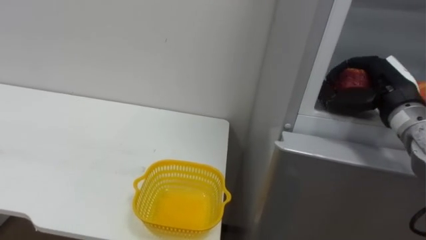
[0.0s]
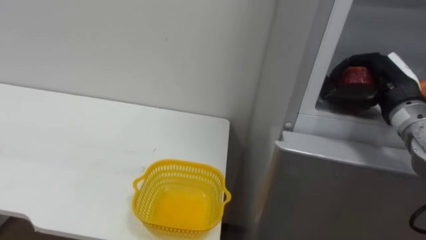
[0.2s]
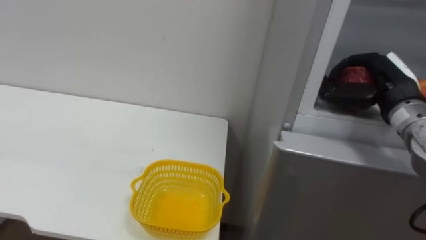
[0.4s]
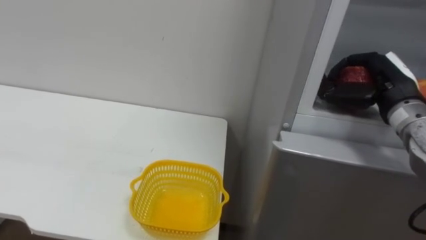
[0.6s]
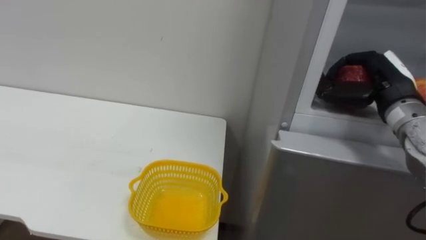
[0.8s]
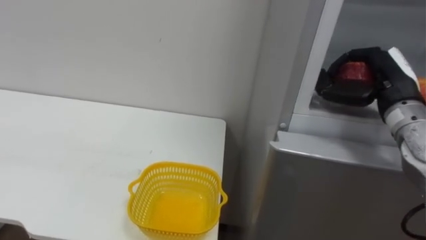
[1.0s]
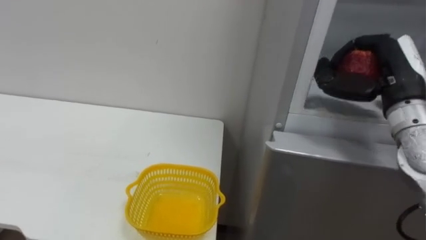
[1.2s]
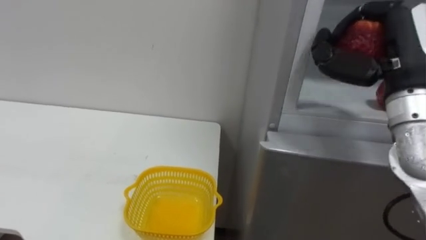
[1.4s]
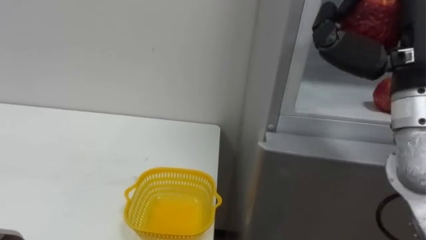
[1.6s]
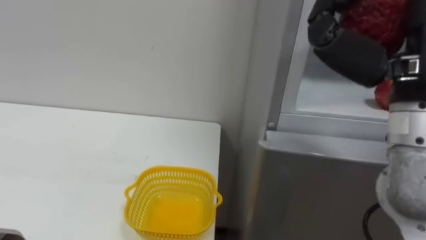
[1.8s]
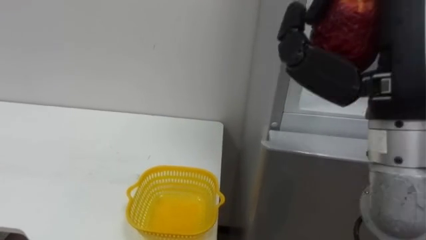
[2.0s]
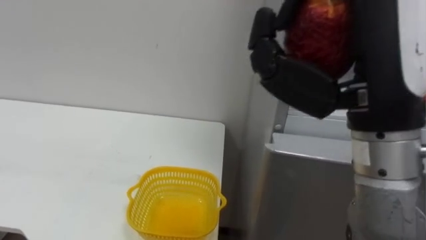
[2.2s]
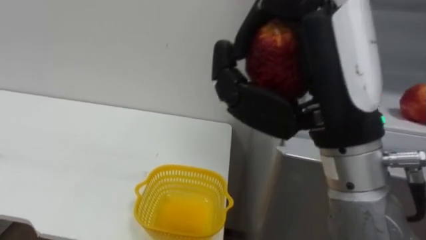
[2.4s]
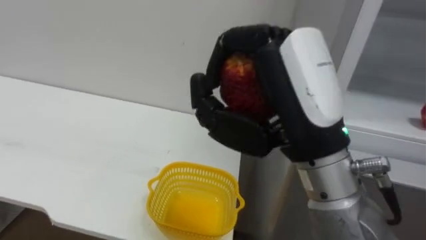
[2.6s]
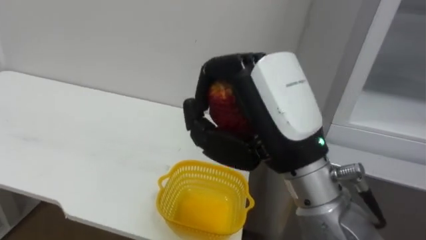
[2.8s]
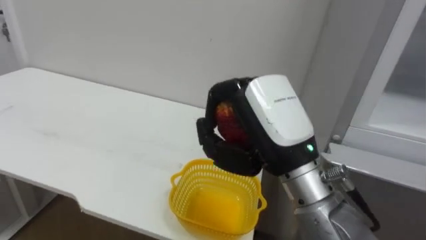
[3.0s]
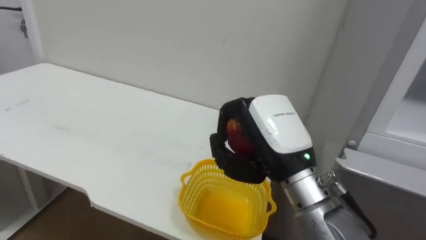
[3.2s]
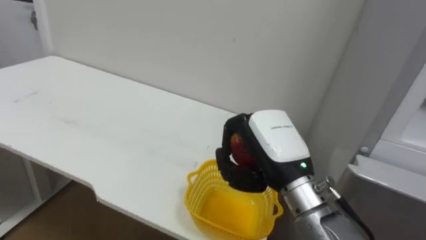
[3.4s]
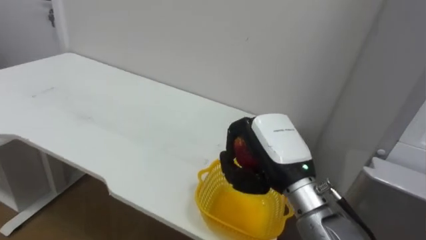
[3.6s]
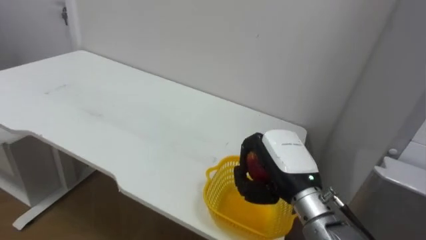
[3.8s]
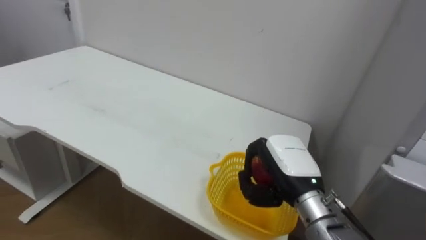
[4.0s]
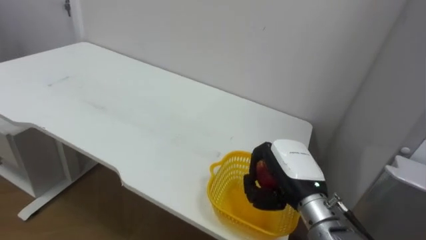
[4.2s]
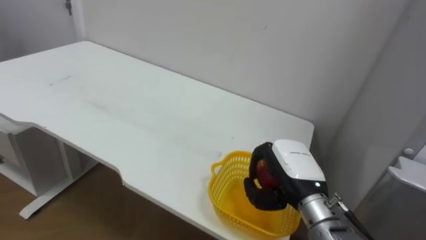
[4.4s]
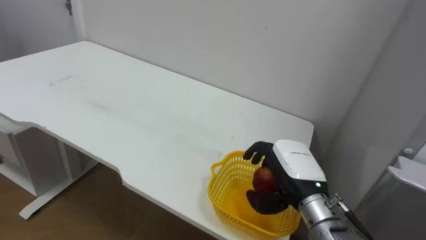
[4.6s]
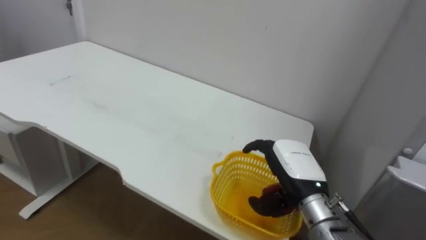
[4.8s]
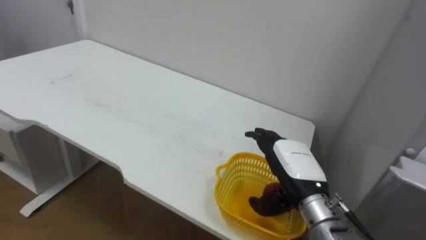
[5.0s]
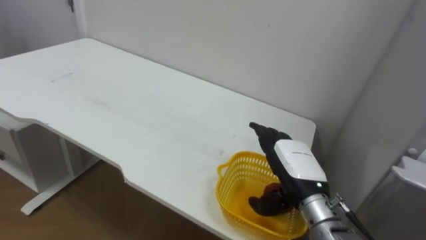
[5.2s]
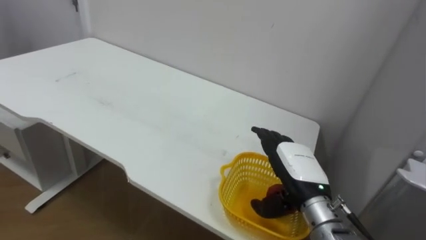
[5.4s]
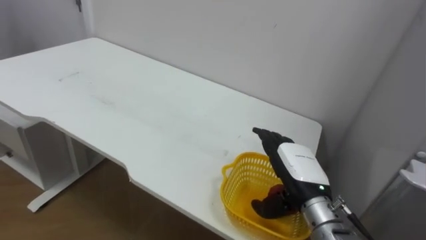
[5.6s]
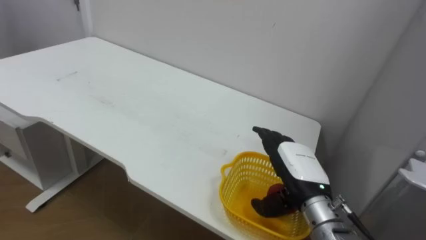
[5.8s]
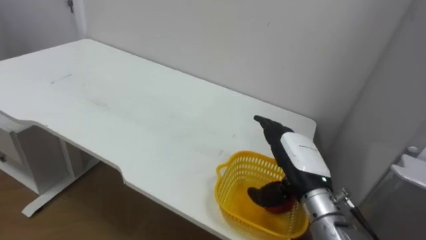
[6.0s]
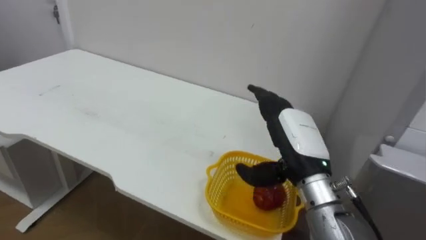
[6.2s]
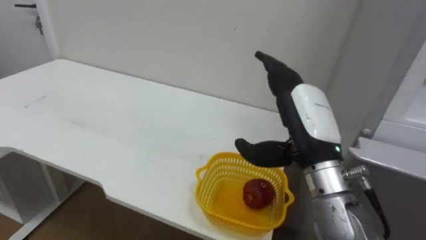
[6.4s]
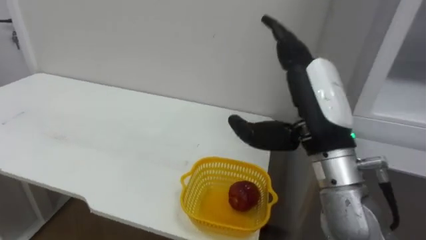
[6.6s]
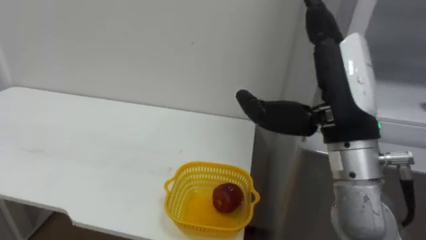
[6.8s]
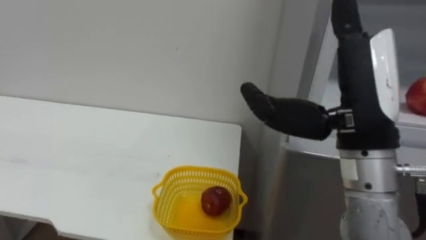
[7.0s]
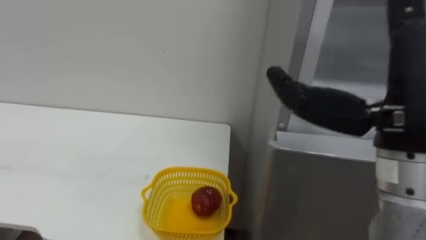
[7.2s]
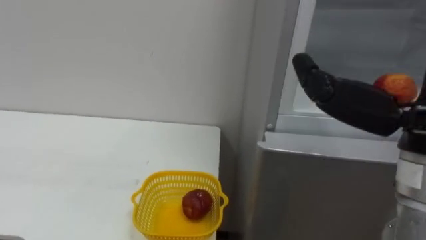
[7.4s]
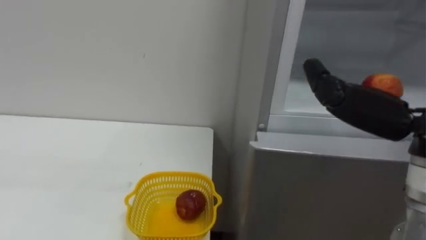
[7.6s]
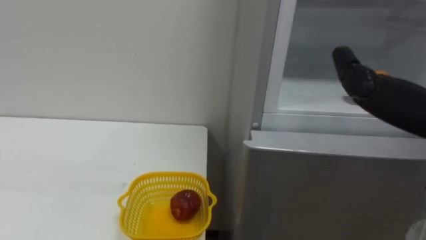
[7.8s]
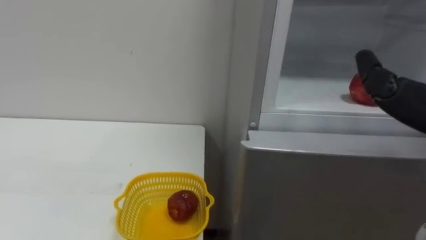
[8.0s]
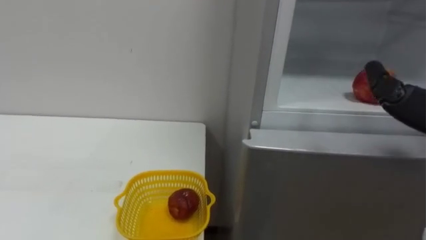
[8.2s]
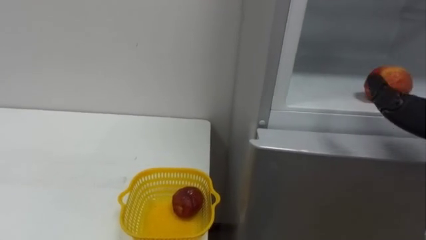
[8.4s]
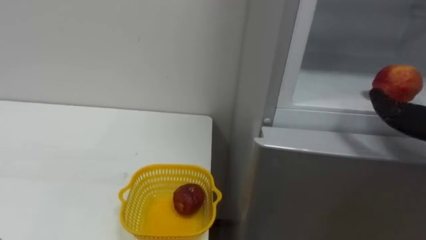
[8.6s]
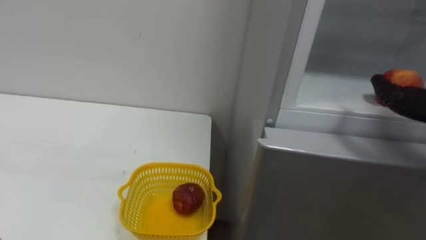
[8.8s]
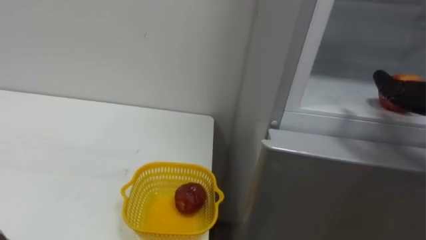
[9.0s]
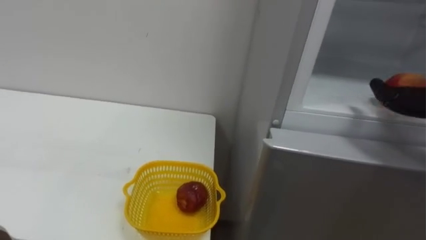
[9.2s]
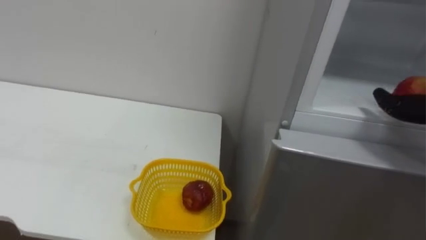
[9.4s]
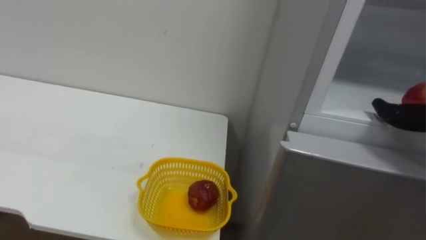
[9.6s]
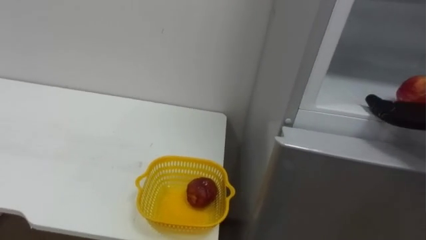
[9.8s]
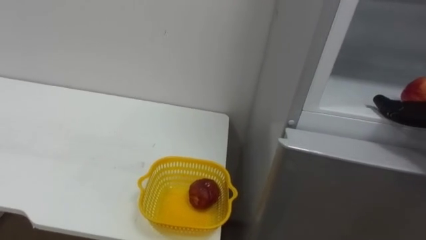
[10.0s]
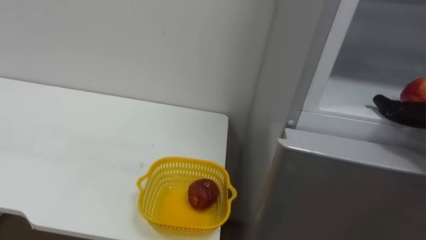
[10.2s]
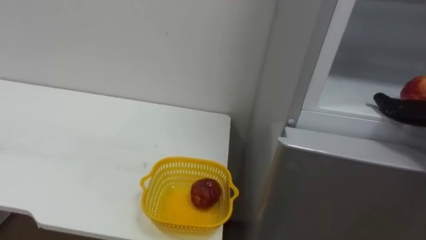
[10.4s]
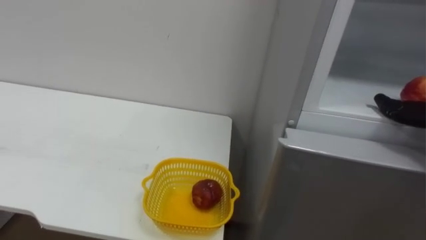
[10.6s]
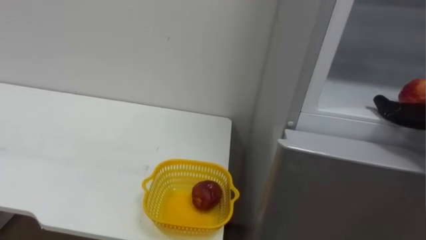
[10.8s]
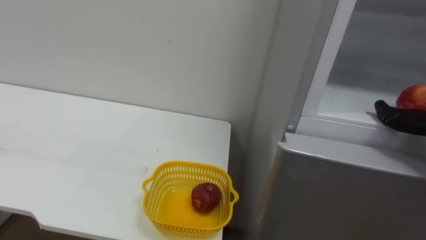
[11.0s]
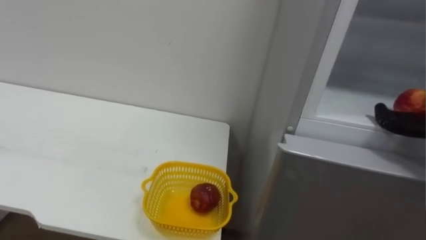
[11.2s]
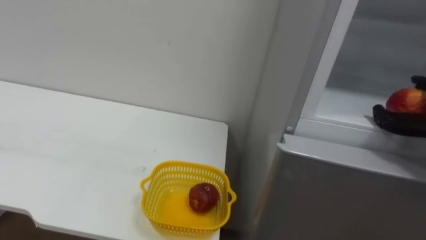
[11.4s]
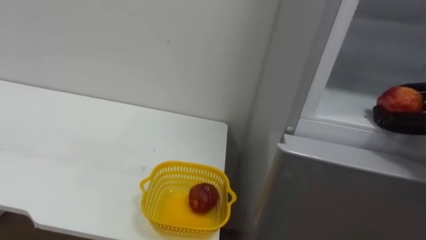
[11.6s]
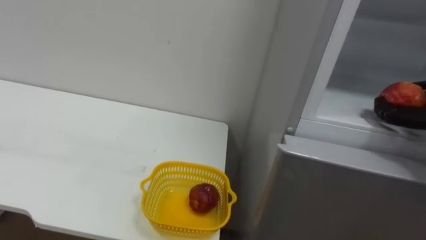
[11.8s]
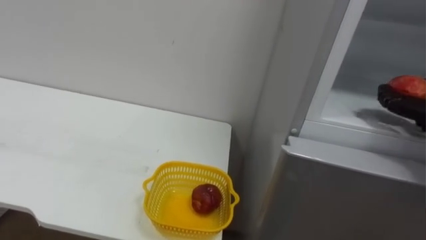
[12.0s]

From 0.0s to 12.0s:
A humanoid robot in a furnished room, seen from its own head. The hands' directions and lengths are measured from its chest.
Task of the whole recording: Open the refrigerator door, take out the apple and the pomegranate, place them in the fruit basket on the left, and close the refrigerator door.
From 0.0s to 1.6s: The right hand travels upward, backward and to the left by approximately 15 cm.
From 1.6s to 3.0s: The right hand shifts some 15 cm to the left and downward.
From 3.0s to 4.4s: The right hand is displaced downward and forward by roughly 15 cm.
From 4.4s to 6.0s: The right hand opens its fingers.

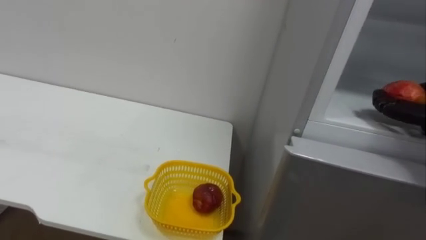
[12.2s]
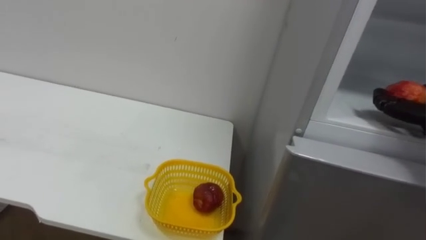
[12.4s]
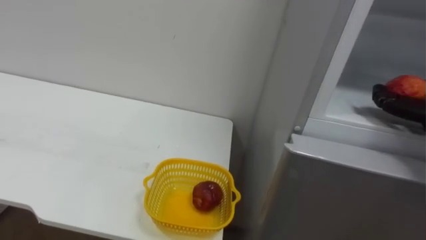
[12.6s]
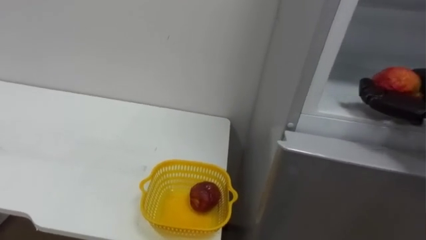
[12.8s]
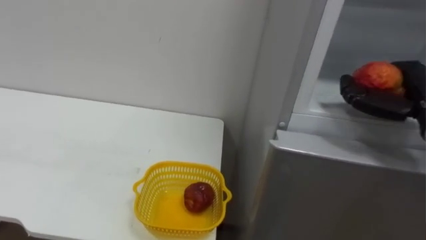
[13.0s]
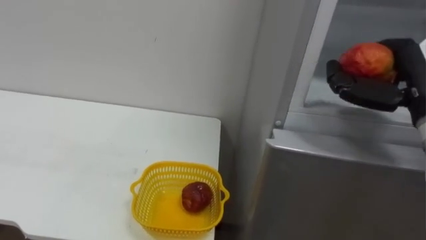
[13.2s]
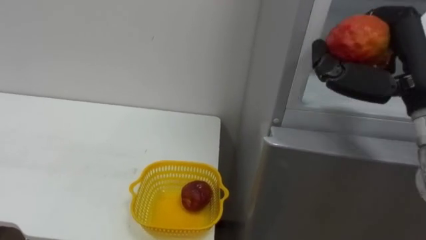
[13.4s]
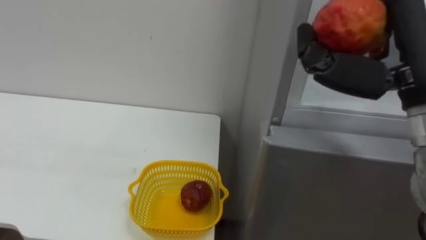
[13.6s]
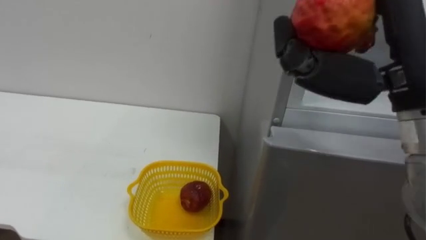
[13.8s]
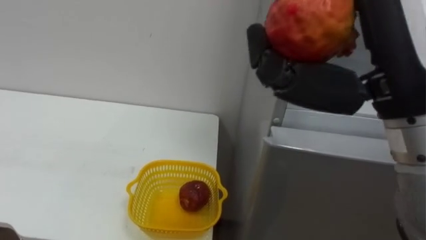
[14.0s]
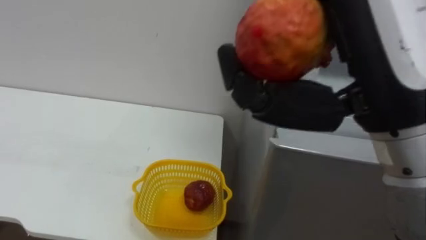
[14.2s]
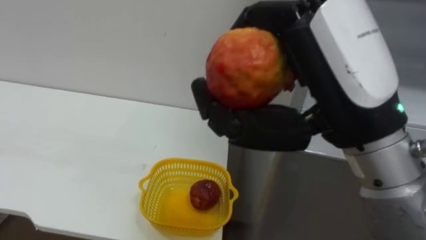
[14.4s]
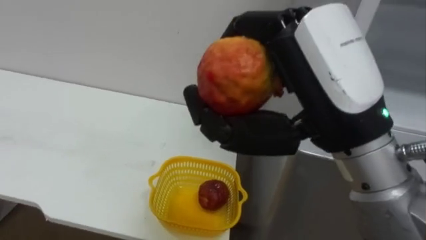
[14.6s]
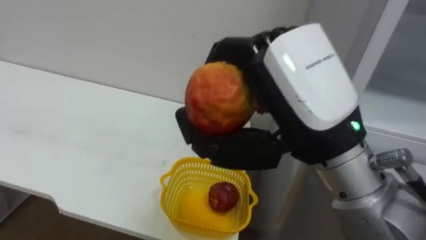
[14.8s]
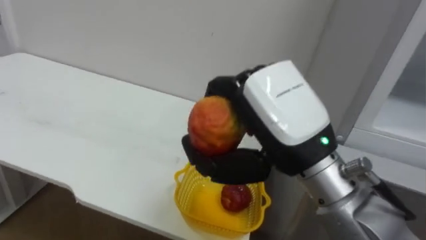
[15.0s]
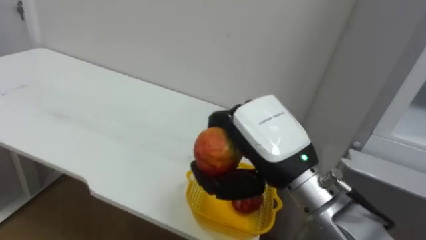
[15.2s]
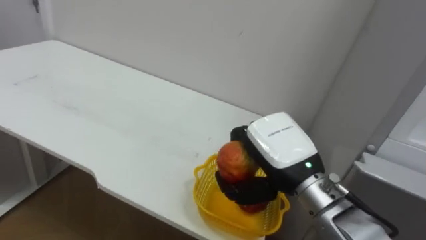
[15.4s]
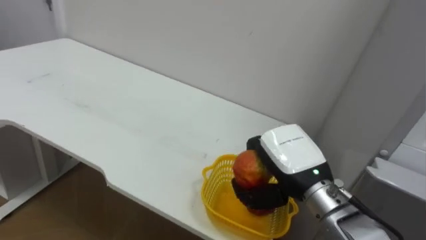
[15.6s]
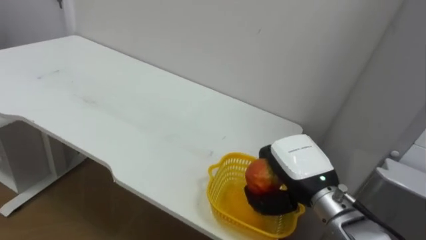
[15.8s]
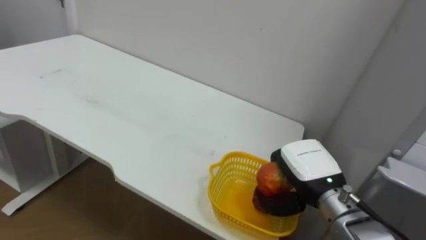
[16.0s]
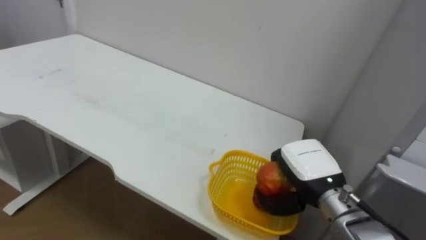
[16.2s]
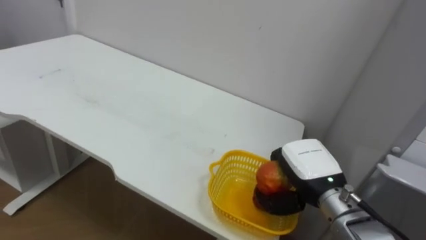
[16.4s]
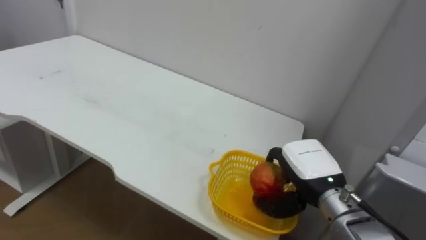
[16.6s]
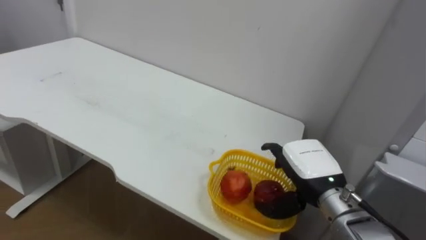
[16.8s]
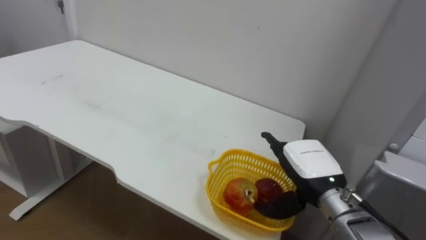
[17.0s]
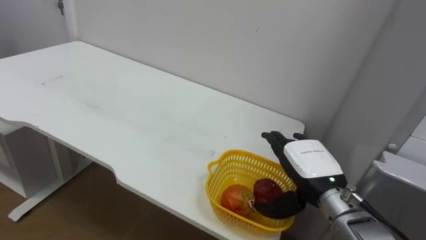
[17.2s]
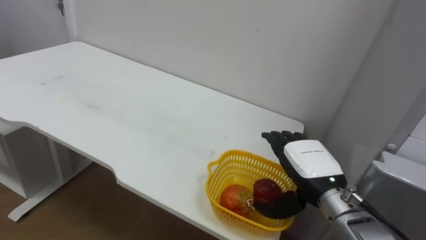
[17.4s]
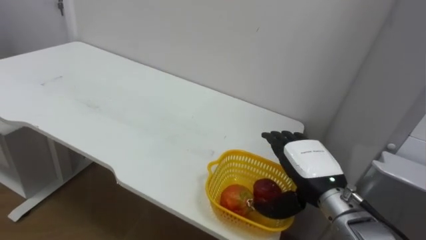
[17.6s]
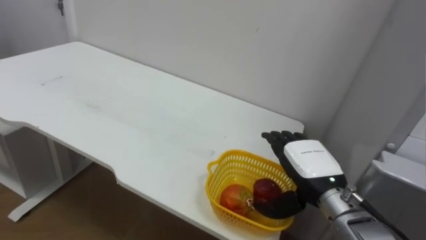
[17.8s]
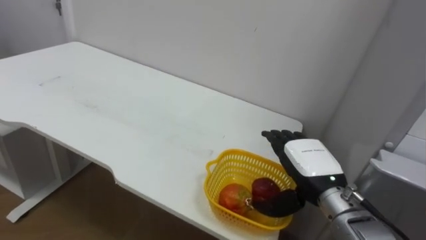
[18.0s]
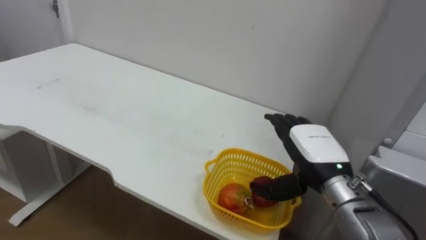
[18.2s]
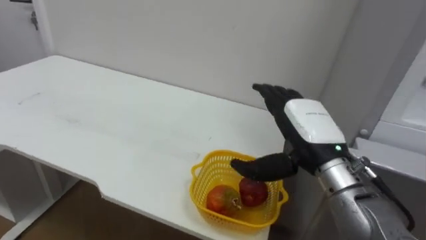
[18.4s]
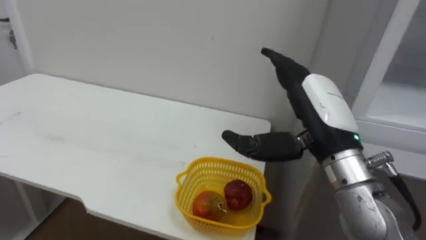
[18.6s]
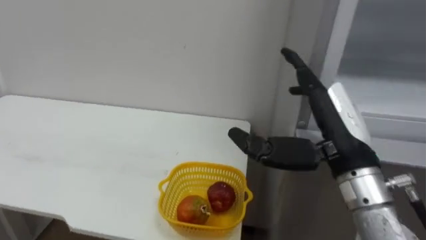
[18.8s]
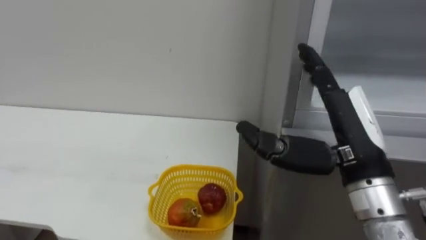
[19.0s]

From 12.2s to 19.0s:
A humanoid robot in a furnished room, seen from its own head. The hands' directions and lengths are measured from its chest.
Task of the whole recording: Open the refrigerator door, take out the apple and the pomegranate, place them in the fruit basket on the left, and close the refrigerator door.
From 13.6s to 15.0s: The right hand goes roughly 15 cm to the left.
From 15.0s to 16.2s: The right hand goes about 20 cm downward, forward and to the right.
From 16.2s to 17.6s: The right hand opens up.
From 17.6s to 19.0s: The right hand goes roughly 15 cm upward and backward.
